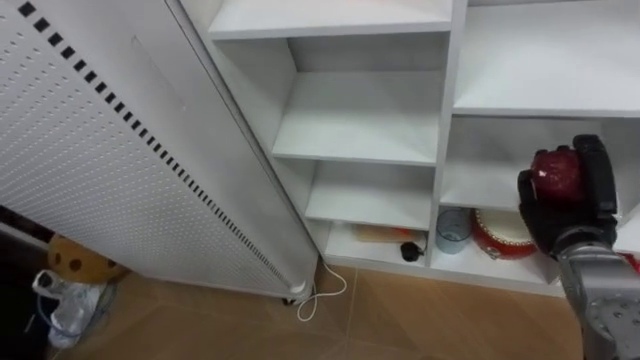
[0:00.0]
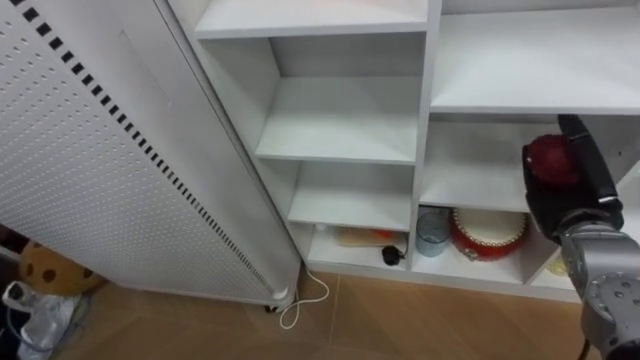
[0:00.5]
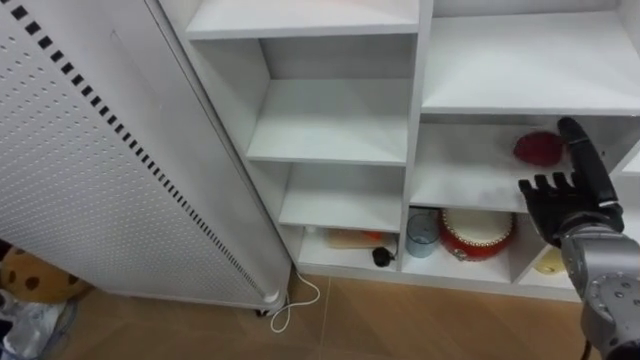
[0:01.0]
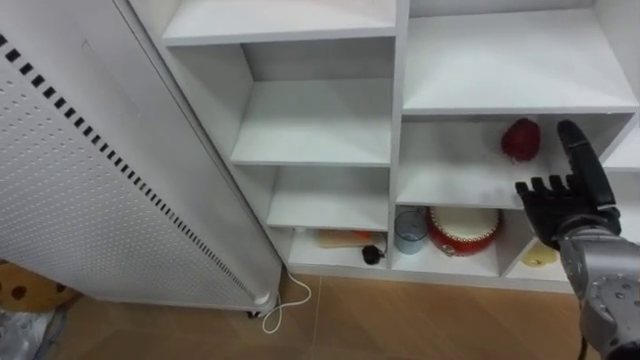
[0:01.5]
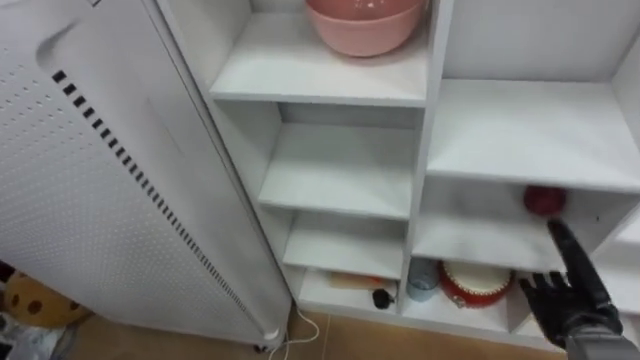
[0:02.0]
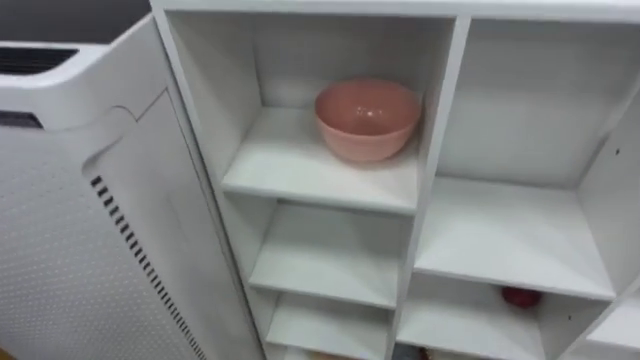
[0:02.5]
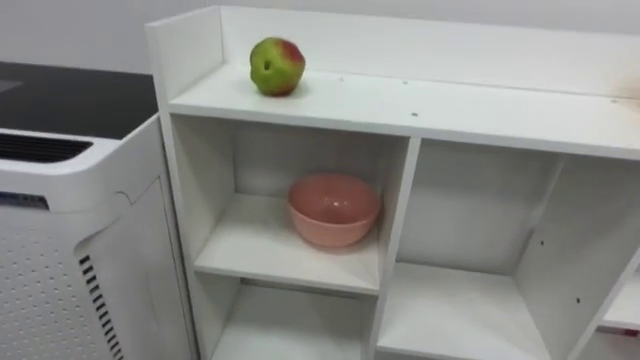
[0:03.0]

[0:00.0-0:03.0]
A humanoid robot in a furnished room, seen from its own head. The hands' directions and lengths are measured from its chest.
Task of the whole recording: Put the apple in the cell in the second column from the left and the second row from the top.
0:00.0 to 0:01.5: The right hand opens up.

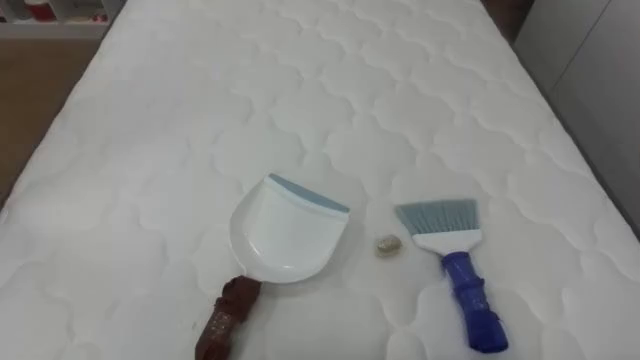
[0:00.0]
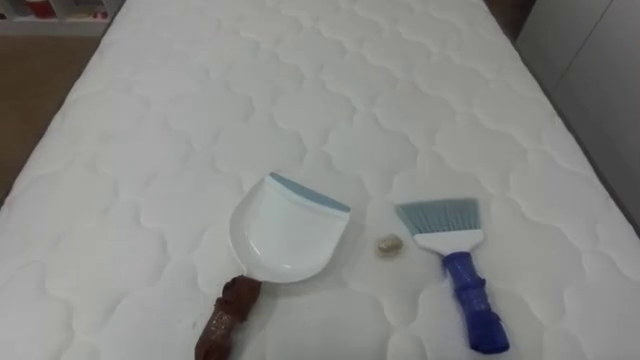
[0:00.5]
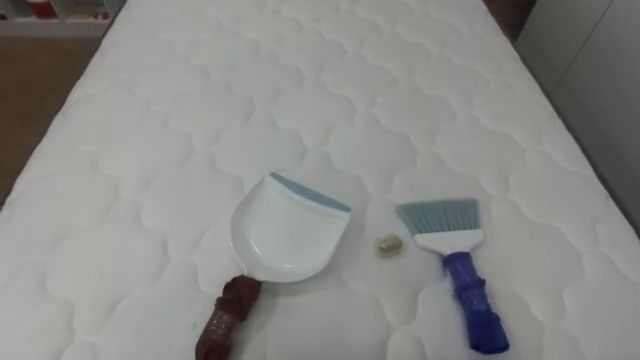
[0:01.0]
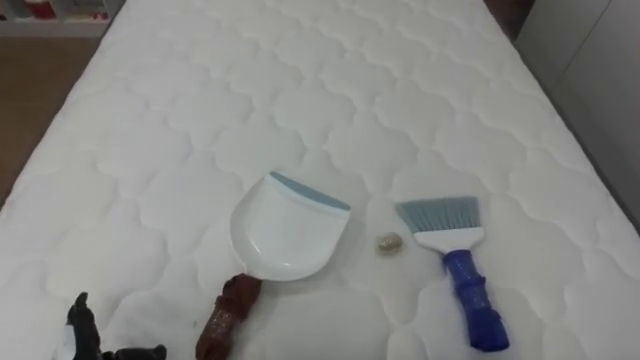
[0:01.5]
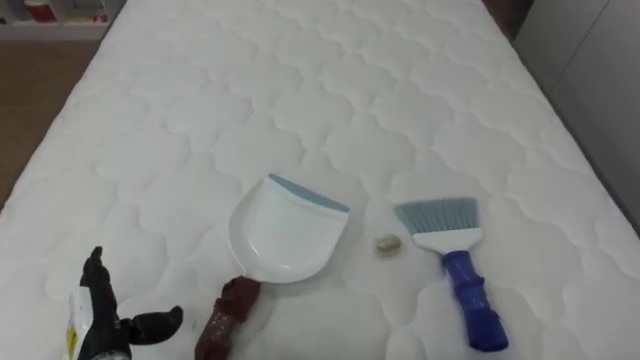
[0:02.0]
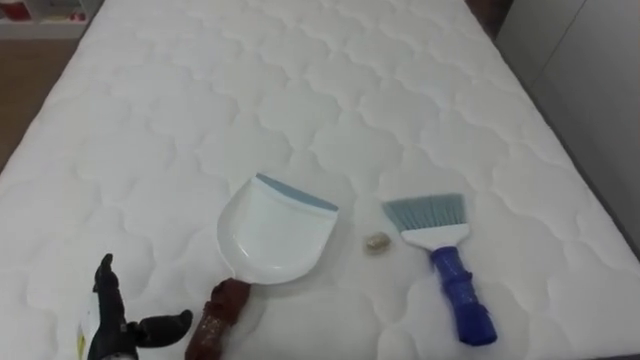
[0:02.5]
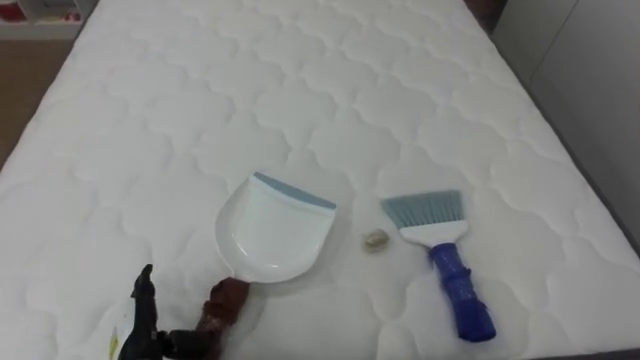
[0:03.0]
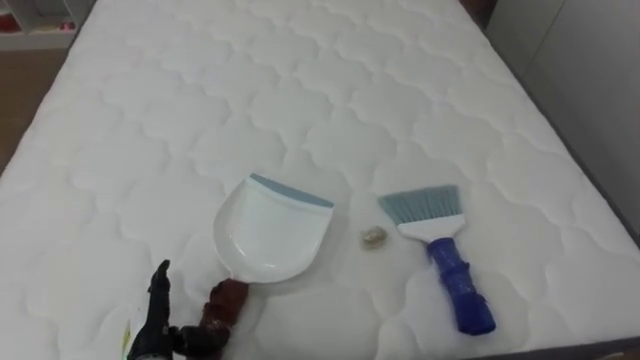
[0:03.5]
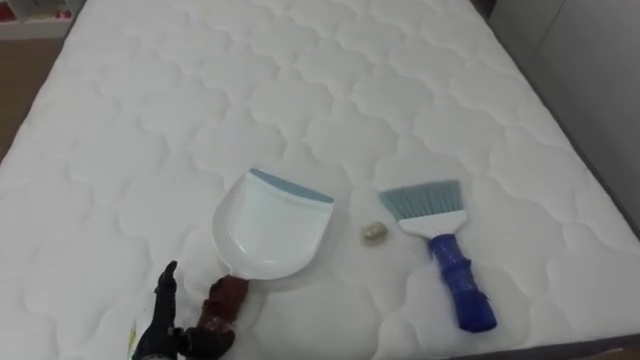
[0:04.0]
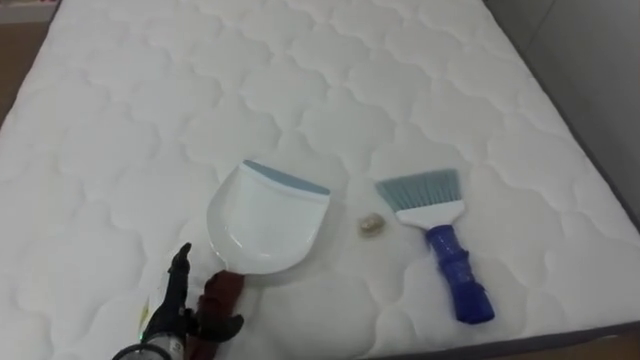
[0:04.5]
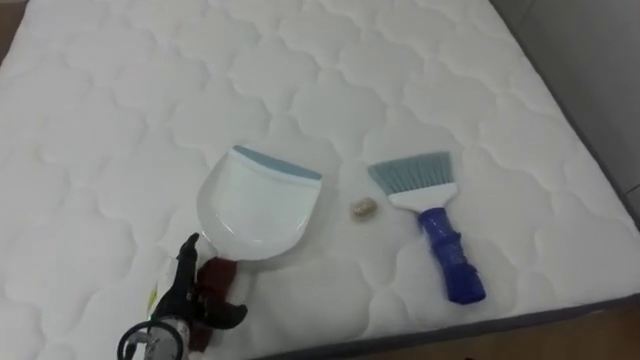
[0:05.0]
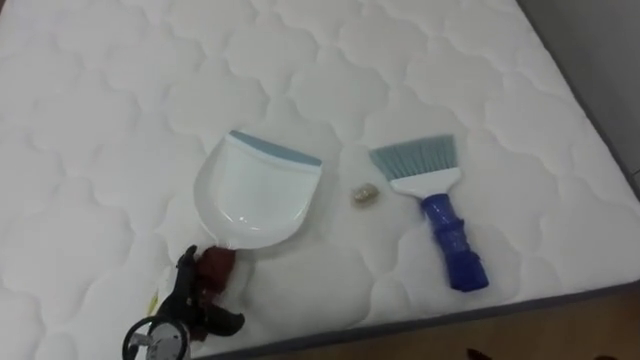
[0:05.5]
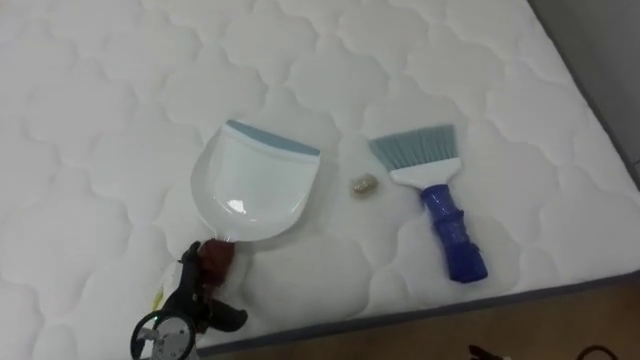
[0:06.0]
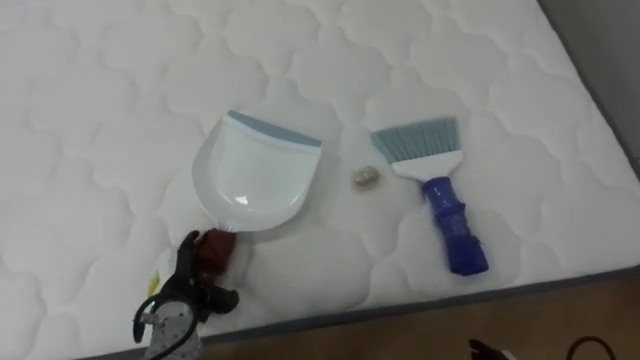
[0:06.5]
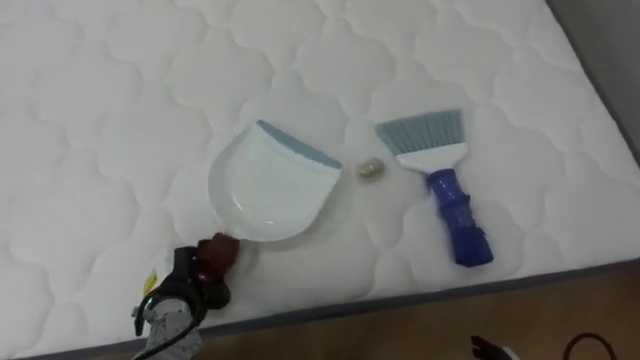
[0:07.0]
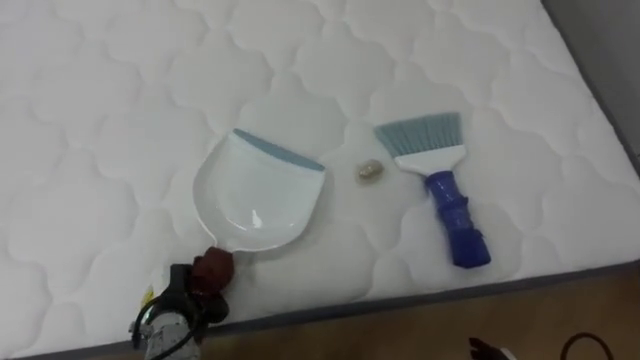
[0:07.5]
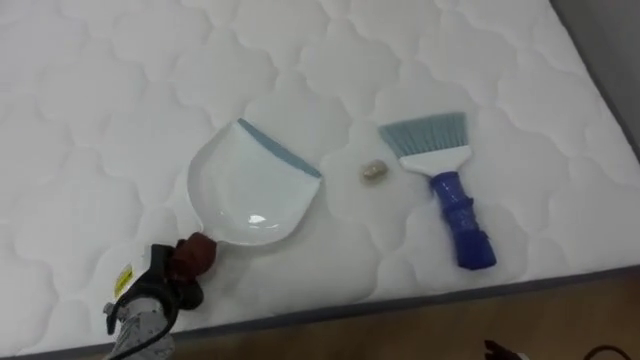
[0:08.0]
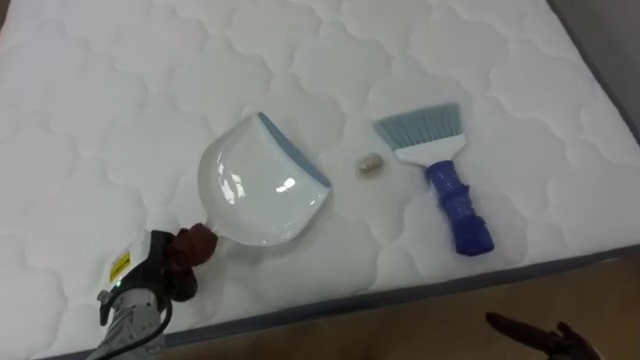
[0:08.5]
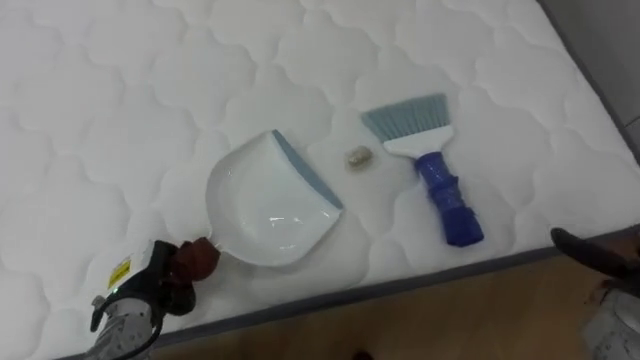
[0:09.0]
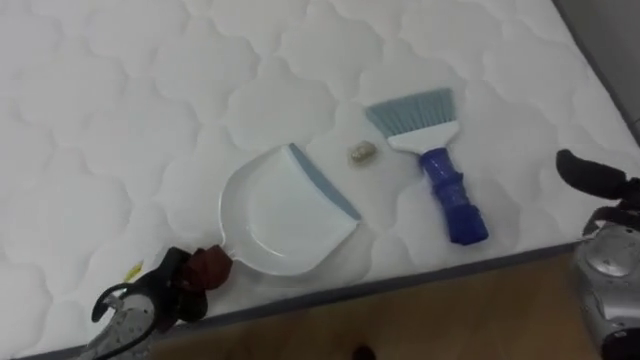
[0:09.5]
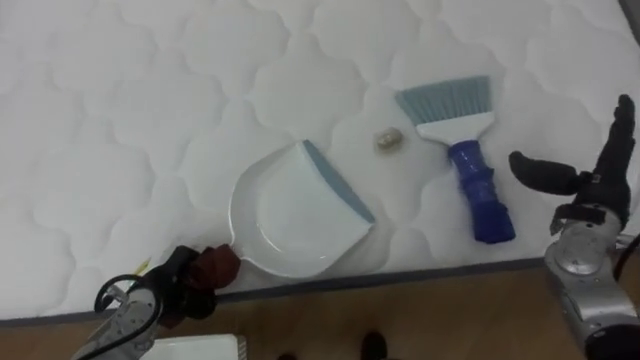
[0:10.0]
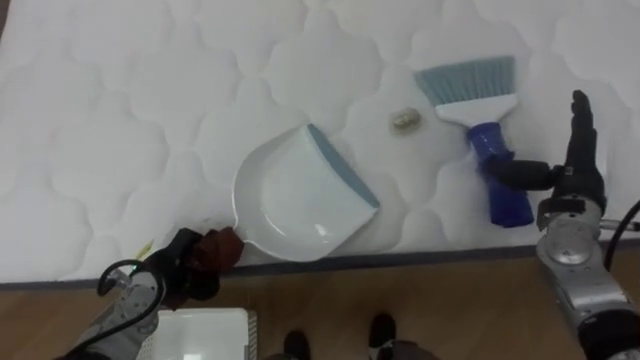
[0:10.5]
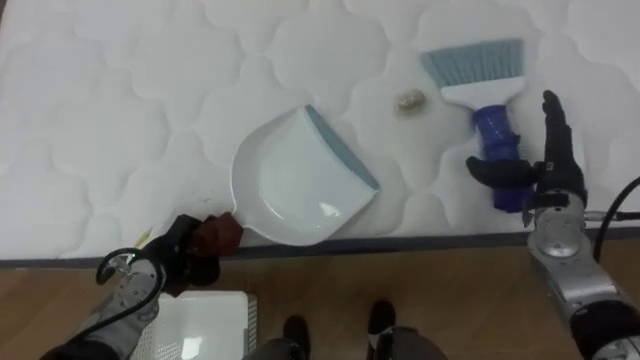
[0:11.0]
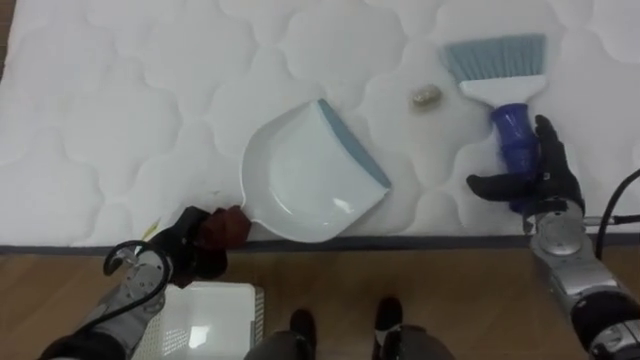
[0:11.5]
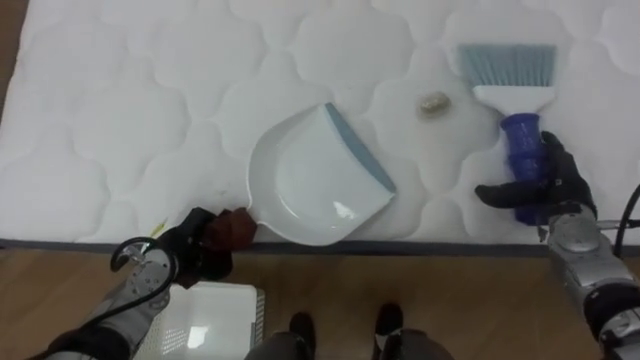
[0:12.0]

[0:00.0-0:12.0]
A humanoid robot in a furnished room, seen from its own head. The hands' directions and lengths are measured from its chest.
Task of the whole recording: Pick up the brush on your right and the dustpan on your left. Use the brush to sweep the crumpled paper on the bed into the dustpan, then turn left and empty it into the basket.
0:02.0 to 0:04.0: The left hand is displaced to the right by roughly 5 cm.
0:04.0 to 0:06.0: The left hand ends up roughly 5 cm from where it was.
0:06.0 to 0:08.0: The left hand moves approximately 5 cm, and closes up.
0:10.0 to 0:12.0: The left hand ends up roughly 5 cm from where it was. Meanwhile the right hand moves downward, about 5 cm.

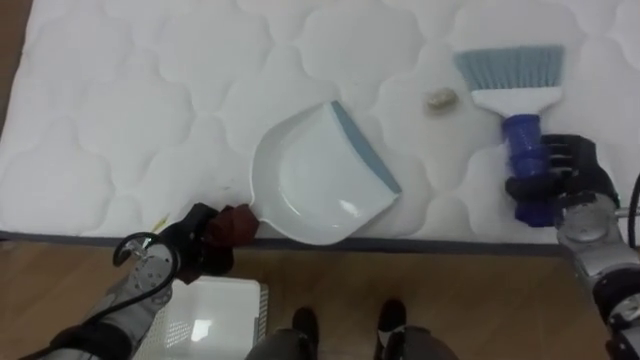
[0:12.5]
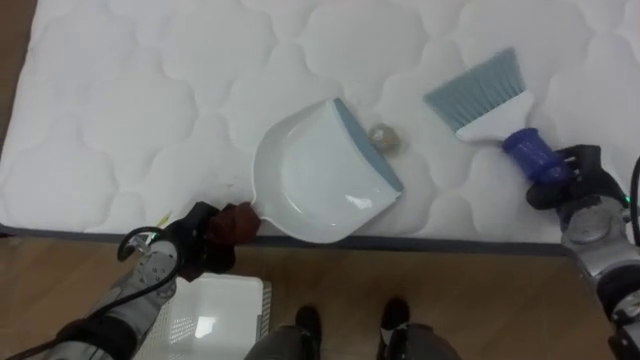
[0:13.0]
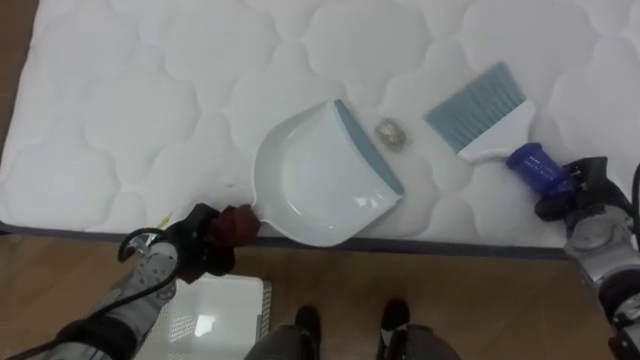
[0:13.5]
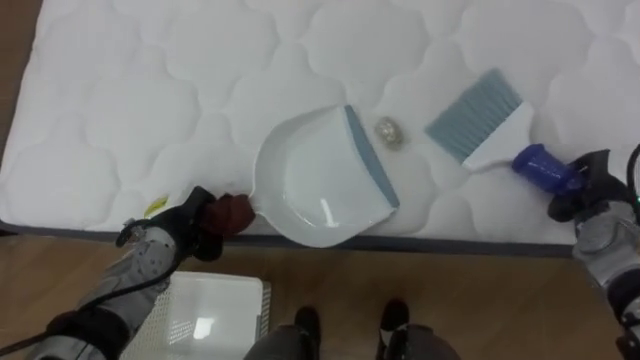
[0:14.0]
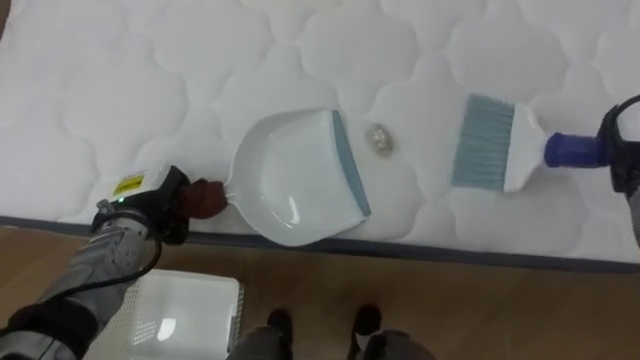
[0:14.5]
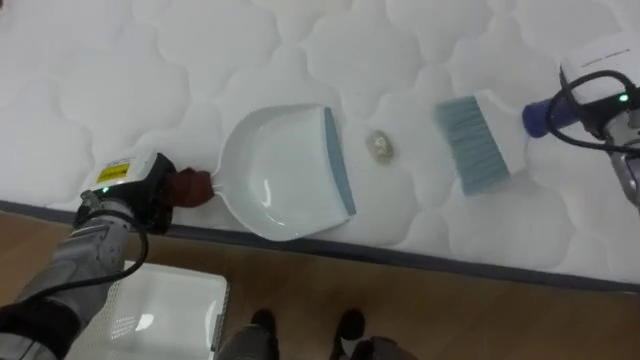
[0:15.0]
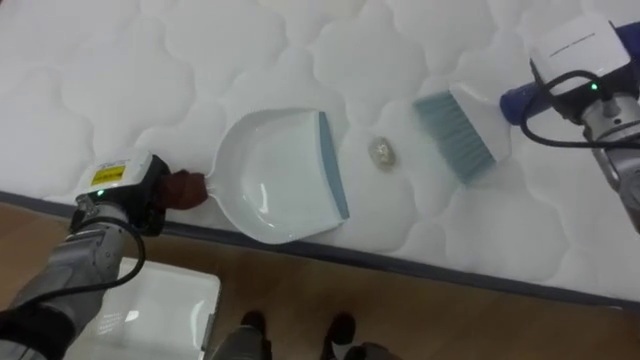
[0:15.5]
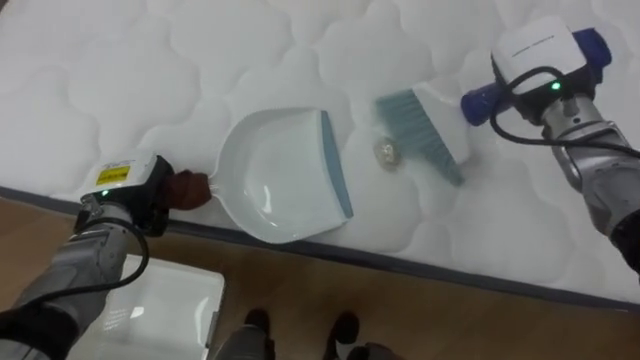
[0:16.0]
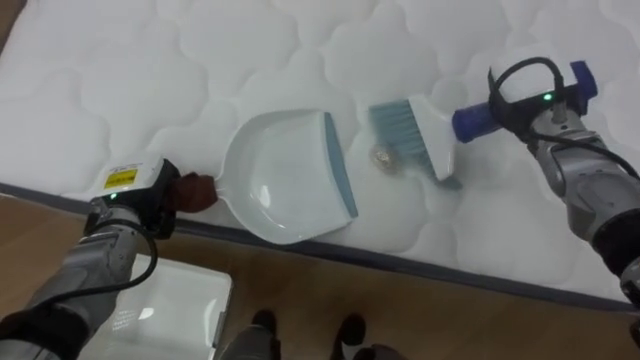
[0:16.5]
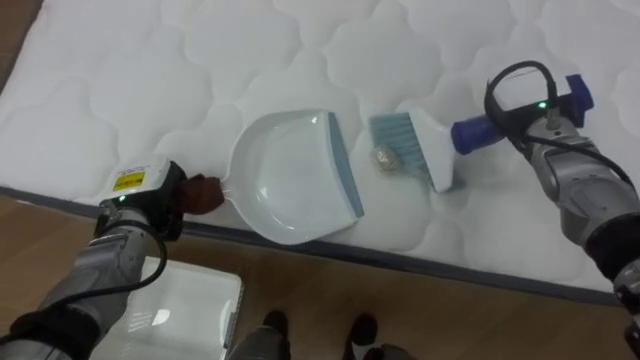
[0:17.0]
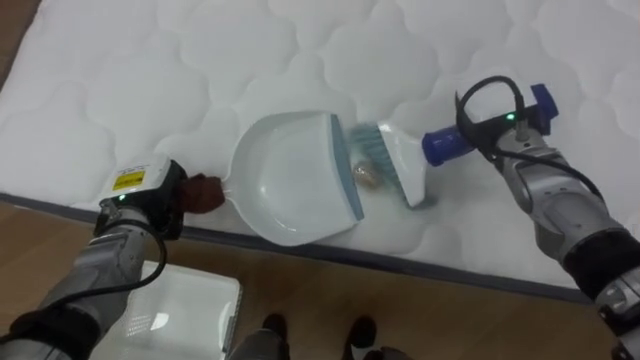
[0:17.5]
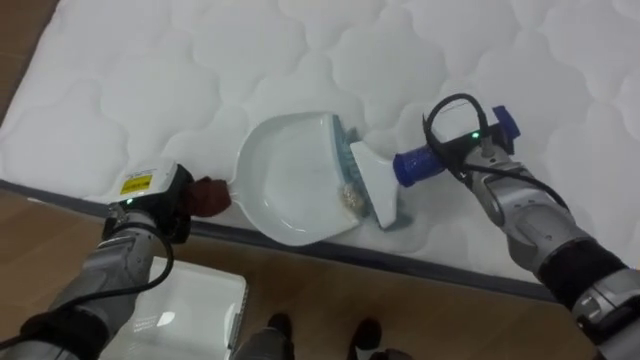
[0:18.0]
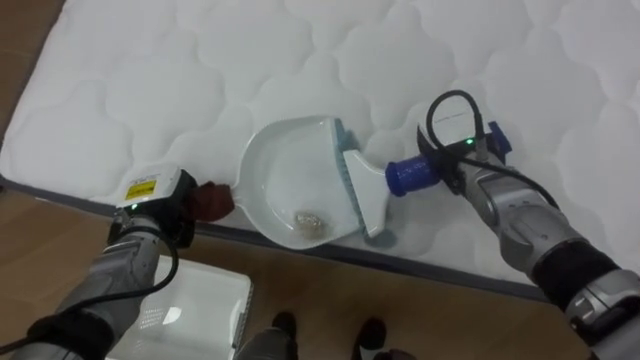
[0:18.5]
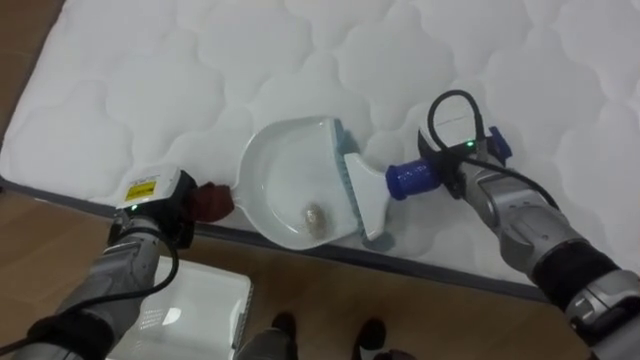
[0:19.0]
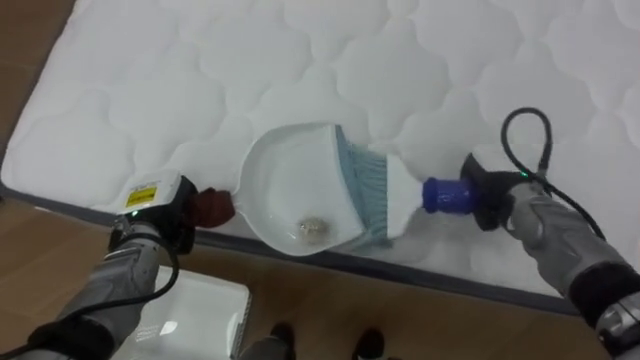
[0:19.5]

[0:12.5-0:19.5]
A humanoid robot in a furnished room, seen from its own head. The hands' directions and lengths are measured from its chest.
Task of the whole recording: Pick up the brush on your right and the dustpan on your left. Use the brush to sweep the crumpled paper on the bed into the dustpan, then turn left and empty it into the basket.
0:12.5 to 0:14.5: Both hands travel together upward, approximately 5 cm. The right hand closes up.
0:14.5 to 0:16.0: The right hand is displaced to the left and upward by some 15 cm.
0:16.0 to 0:17.5: The right hand shifts roughly 5 cm downward.
0:17.5 to 0:19.5: The right hand is displaced downward by some 10 cm.
